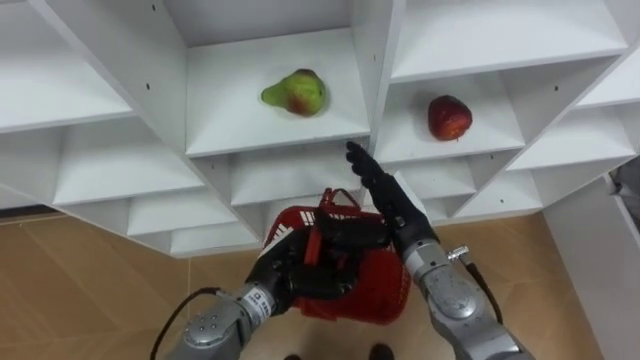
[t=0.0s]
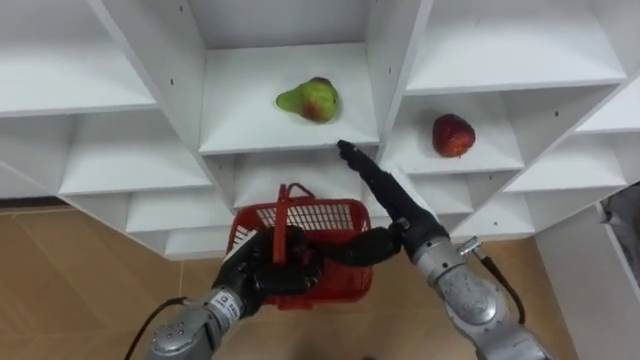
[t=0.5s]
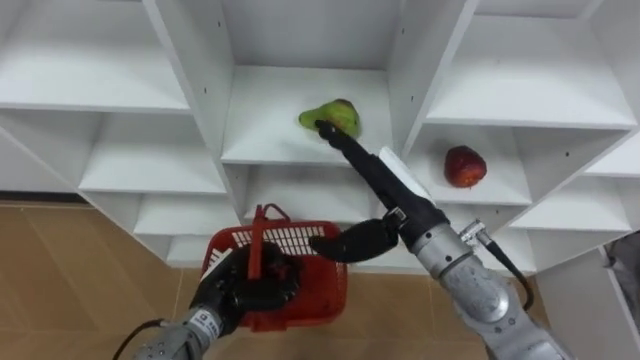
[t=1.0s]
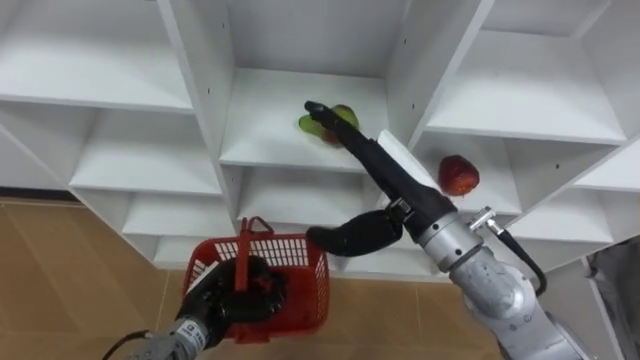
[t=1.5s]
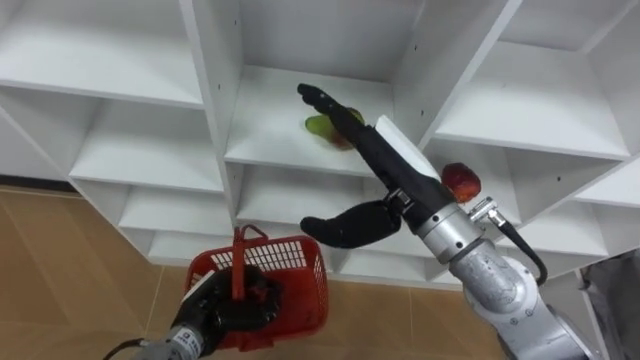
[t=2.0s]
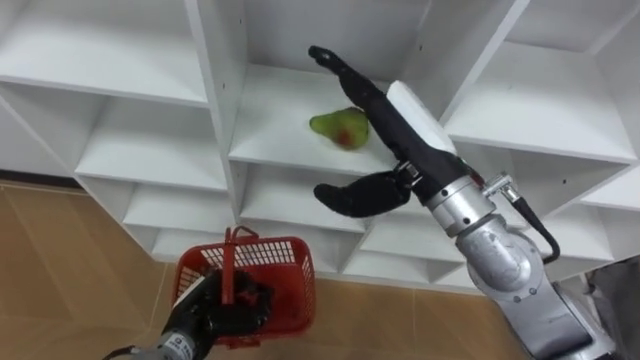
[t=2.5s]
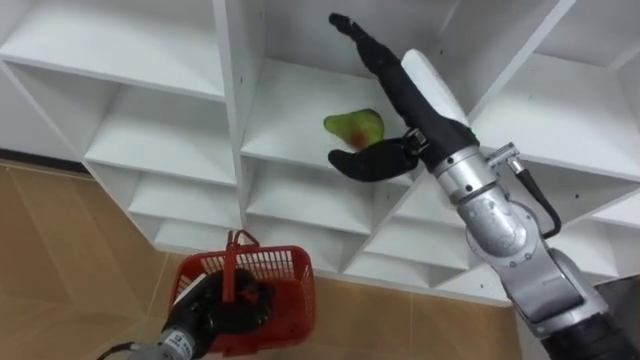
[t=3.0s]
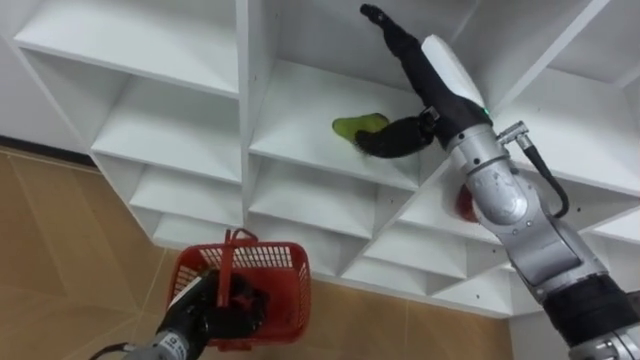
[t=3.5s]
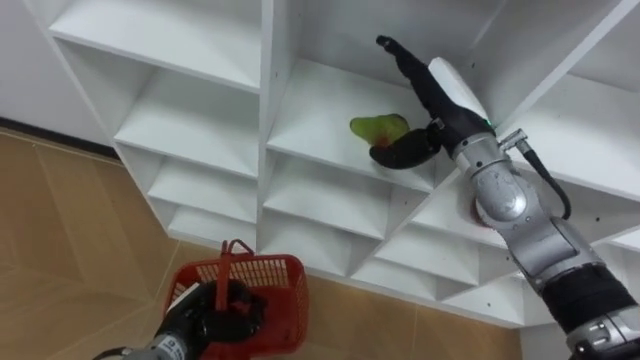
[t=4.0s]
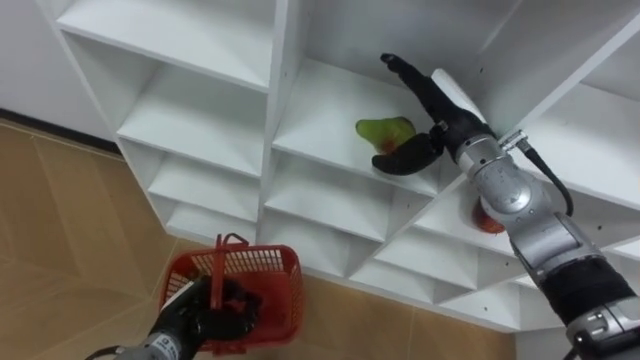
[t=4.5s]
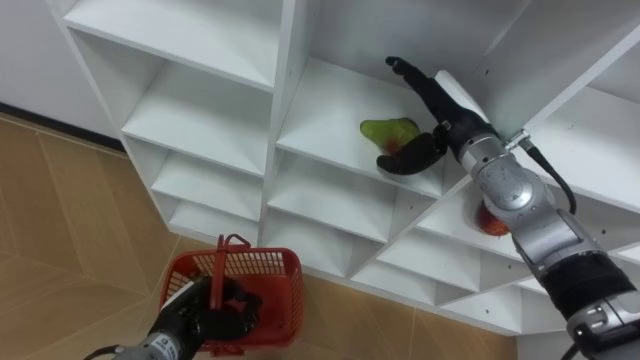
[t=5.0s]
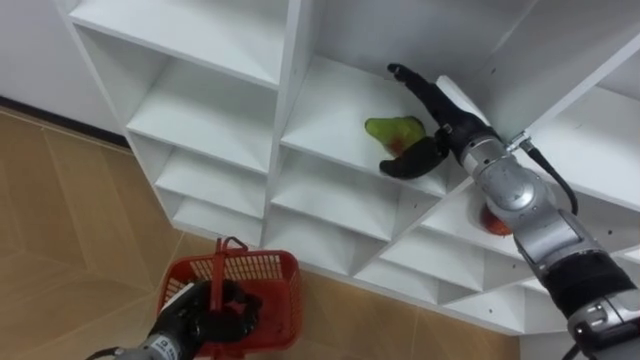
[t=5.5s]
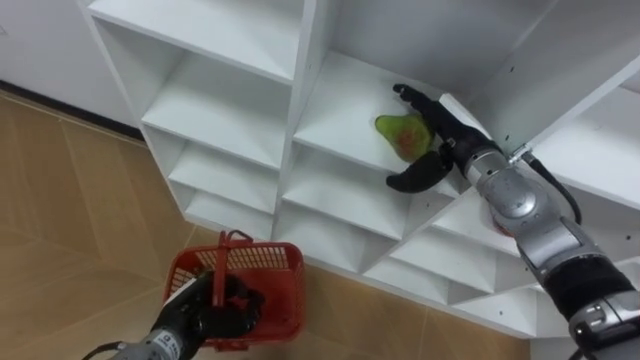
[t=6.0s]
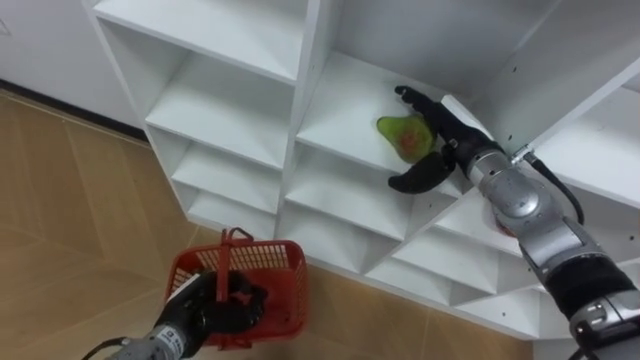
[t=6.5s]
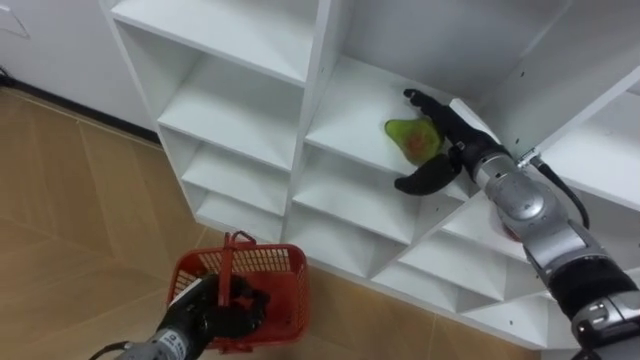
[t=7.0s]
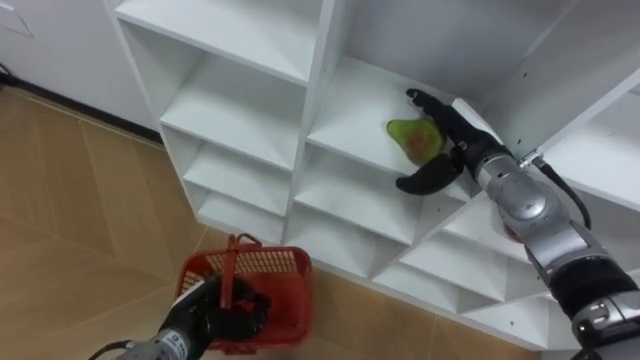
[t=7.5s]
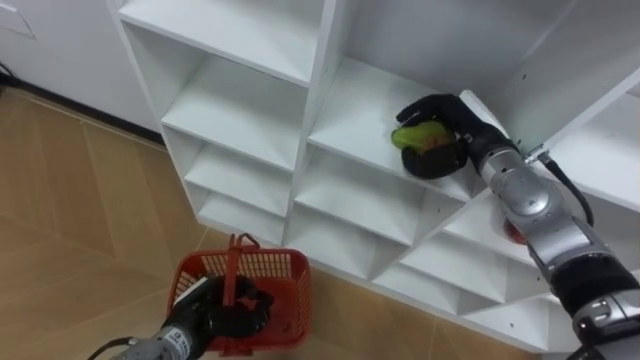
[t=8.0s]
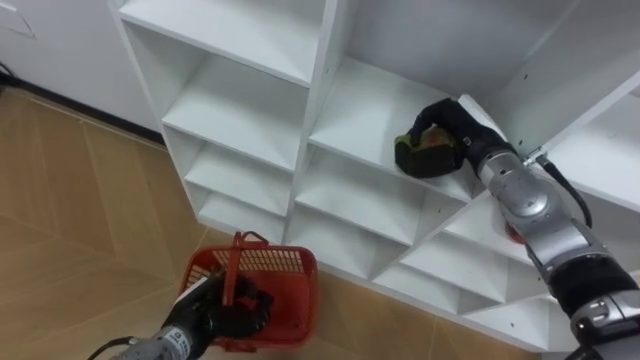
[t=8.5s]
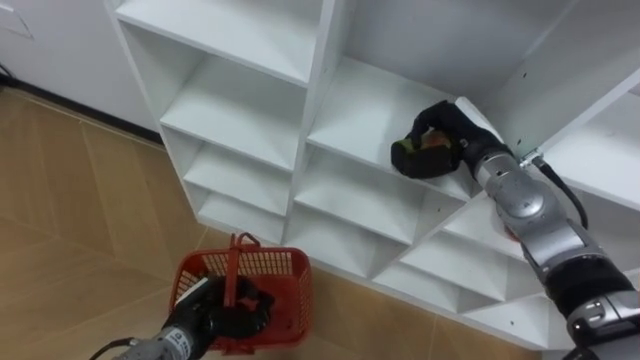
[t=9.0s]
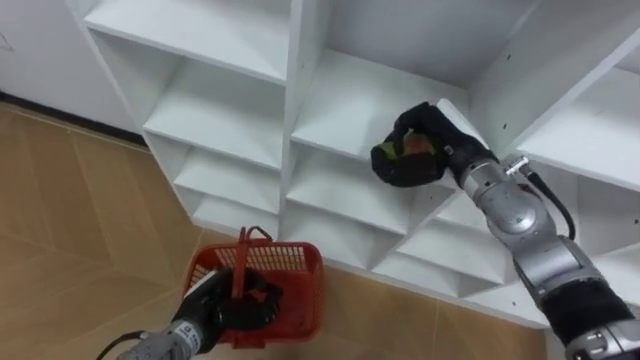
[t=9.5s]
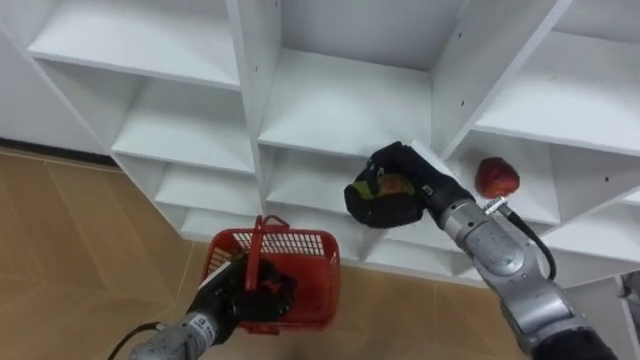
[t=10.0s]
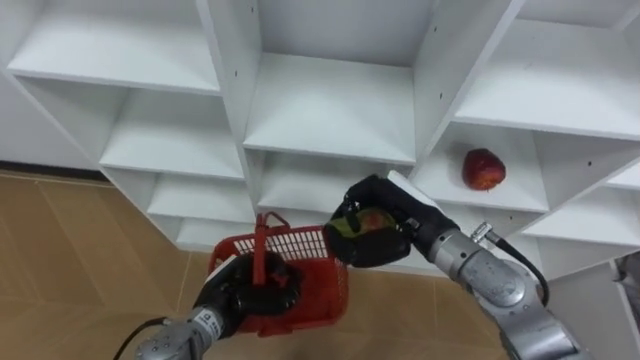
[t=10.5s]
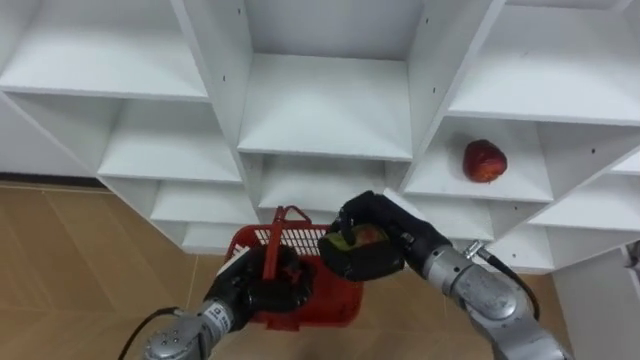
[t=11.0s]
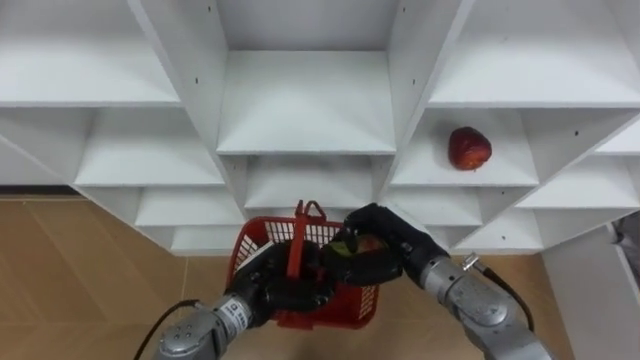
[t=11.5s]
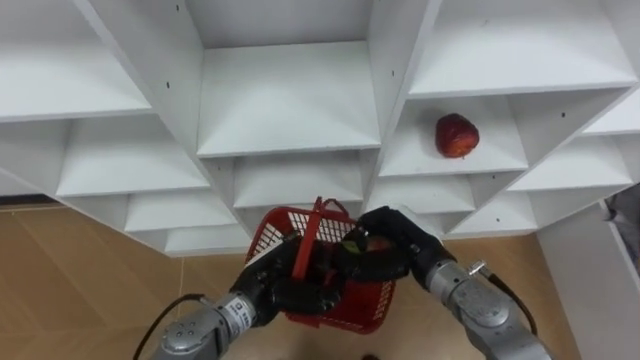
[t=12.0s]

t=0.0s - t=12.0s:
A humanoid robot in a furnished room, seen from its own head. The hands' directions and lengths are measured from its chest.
Task of the whole recording: Hold the basket and collect the fruits from 3 different cells of the closet into it.
t=0.0s - t=2.0s: The right hand travels upward by approximately 15 cm, while the left hand travels to the left and downward by roughly 10 cm.
t=2.0s - t=4.0s: The right hand moves forward and to the right, some 10 cm.
t=4.0s - t=6.0s: The right hand goes roughly 5 cm downward.
t=6.0s - t=8.0s: The right hand closes its fingers.
t=8.0s - t=10.0s: The right hand goes some 10 cm to the left and backward, and closes its fingers.
t=10.0s - t=12.0s: The right hand heads downward and backward, covering some 10 cm. The left hand heads to the right, covering some 5 cm.

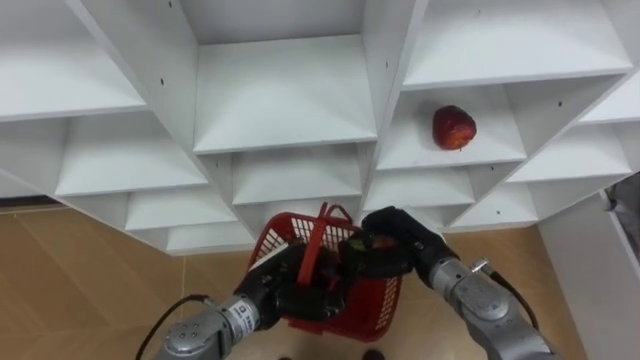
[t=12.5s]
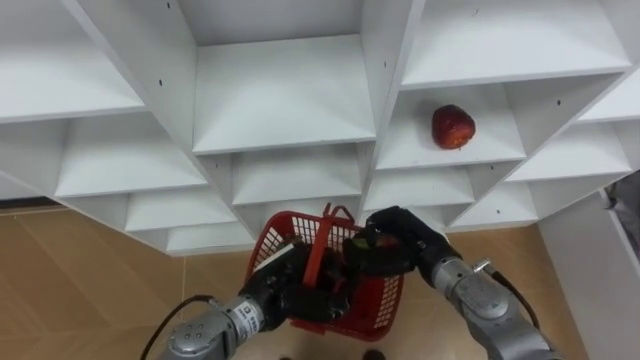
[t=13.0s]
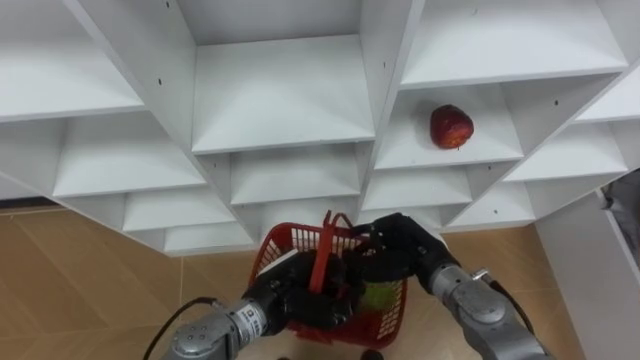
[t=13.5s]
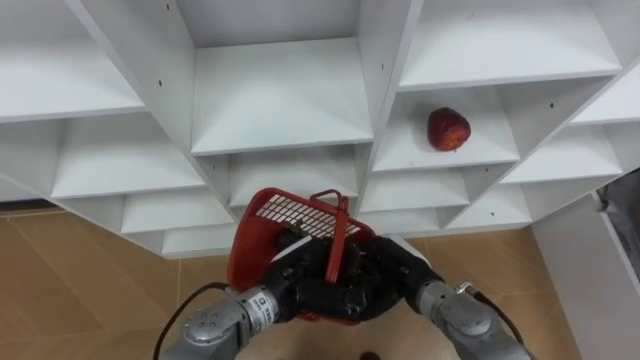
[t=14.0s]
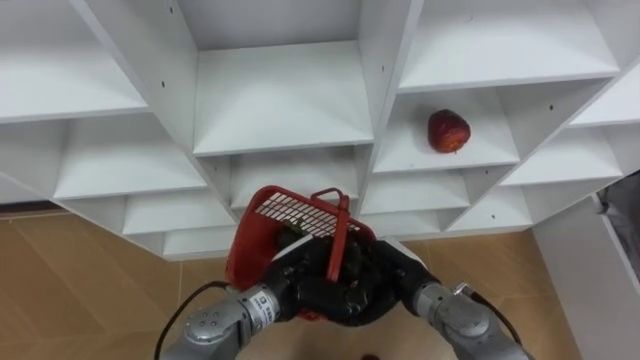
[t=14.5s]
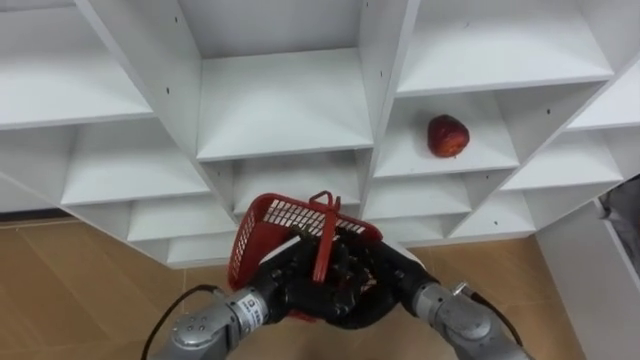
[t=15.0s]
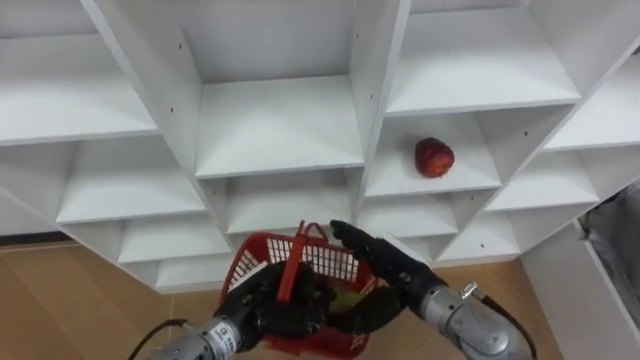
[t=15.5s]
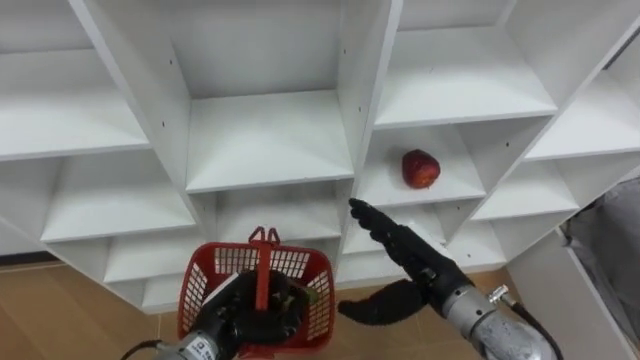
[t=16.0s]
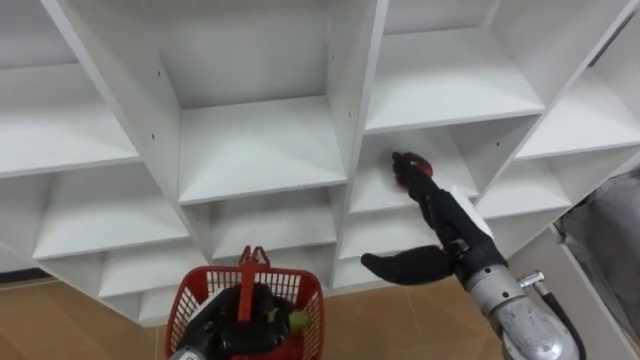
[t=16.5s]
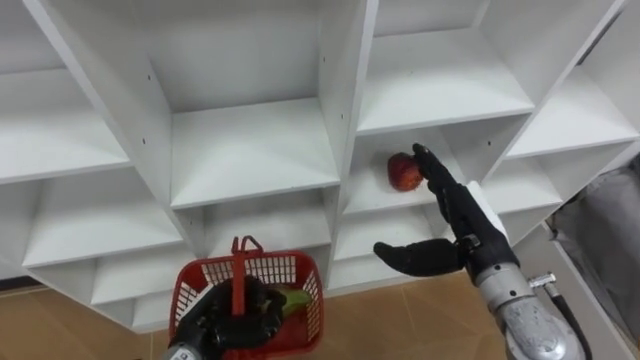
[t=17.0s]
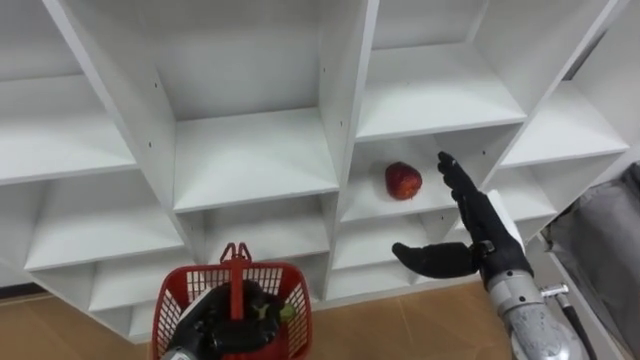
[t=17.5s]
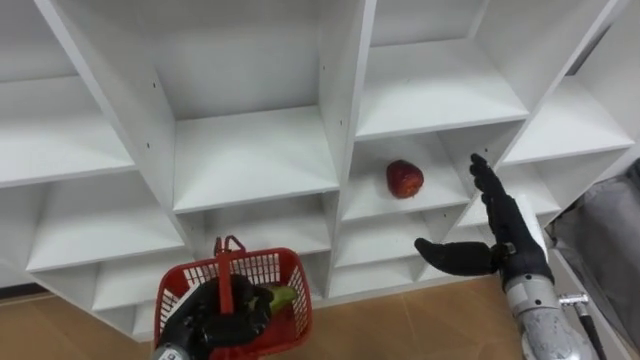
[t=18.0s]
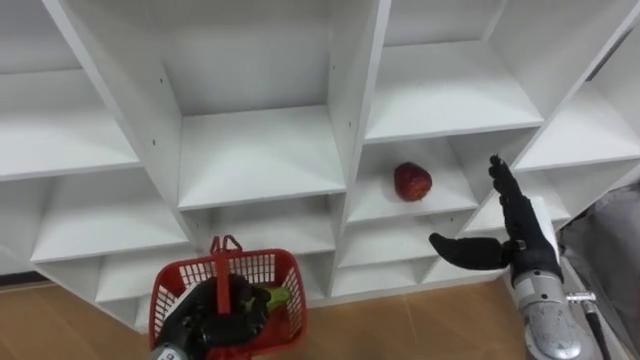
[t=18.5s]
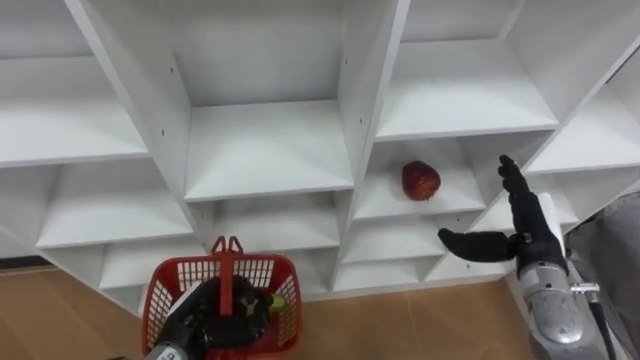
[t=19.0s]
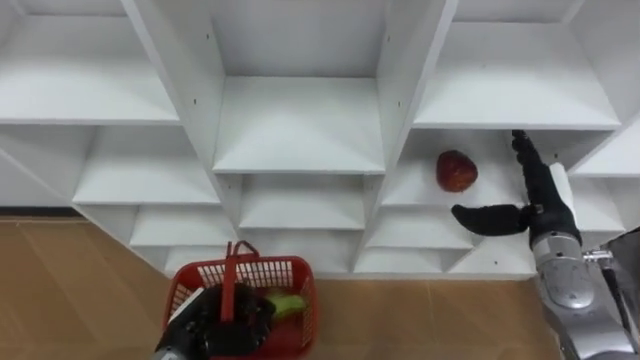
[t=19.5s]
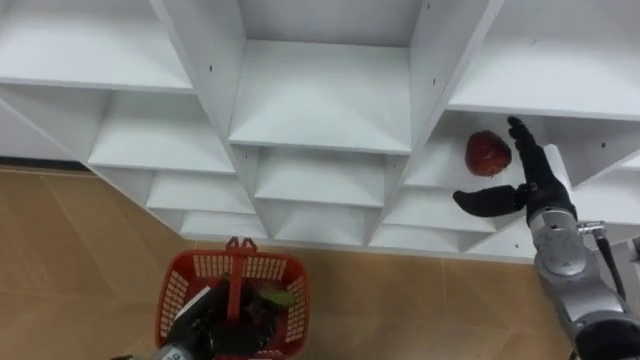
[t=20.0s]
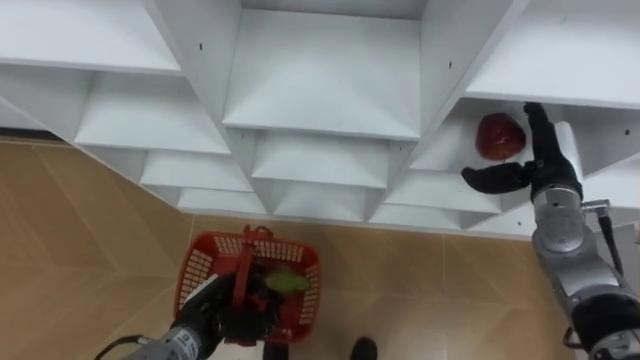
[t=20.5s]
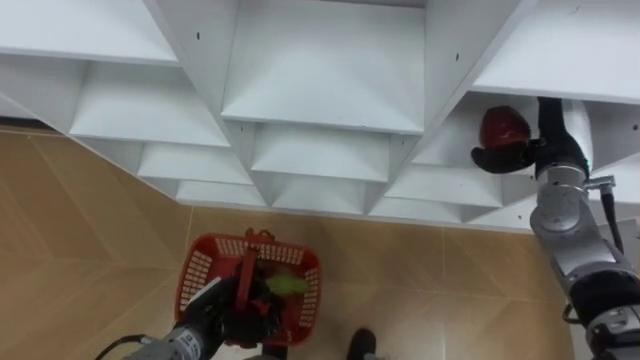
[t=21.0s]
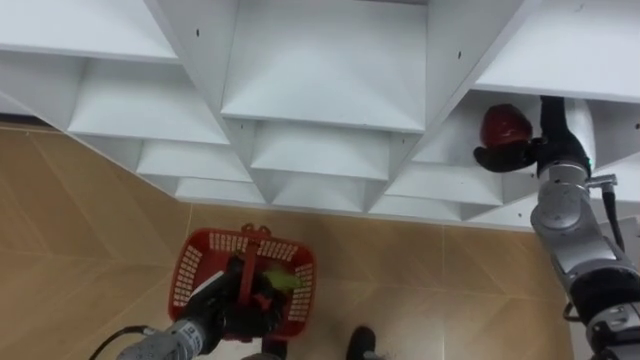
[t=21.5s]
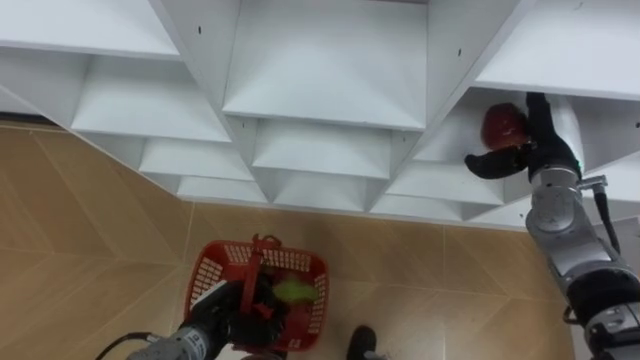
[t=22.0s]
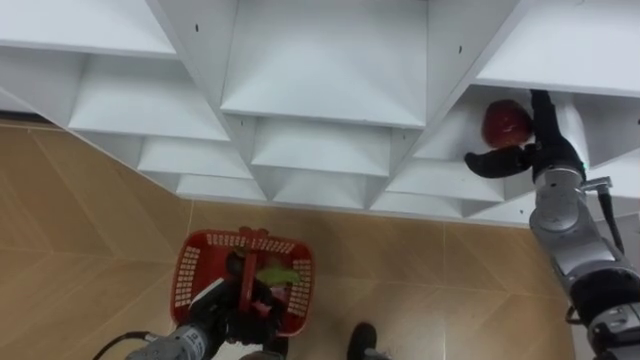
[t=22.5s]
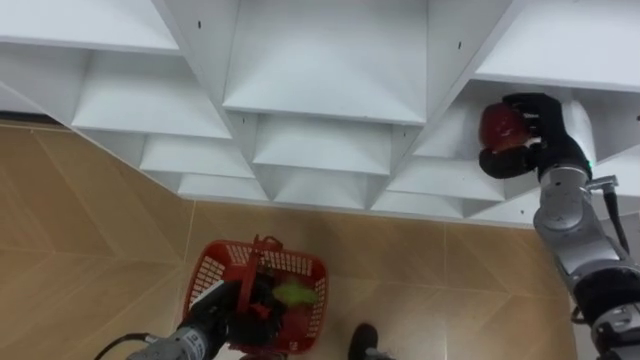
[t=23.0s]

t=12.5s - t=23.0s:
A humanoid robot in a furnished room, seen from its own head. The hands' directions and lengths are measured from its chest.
Task of the whole recording: Hold the basket and collect the fruits from 3 different cells of the closet into it.
t=12.5s - t=14.5s: The right hand shifts by some 5 cm, and opens.
t=14.5s - t=16.5s: The left hand goes about 15 cm to the left, downward and backward. Meanwhile the right hand shifts roughly 15 cm upward and to the right.
t=16.5s - t=19.0s: The right hand goes approximately 10 cm to the right.
t=19.0s - t=21.0s: The right hand shifts roughly 10 cm forward and upward.
t=21.0s - t=23.0s: The right hand closes up.
